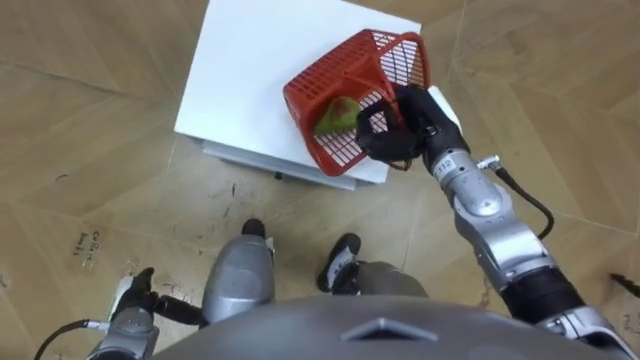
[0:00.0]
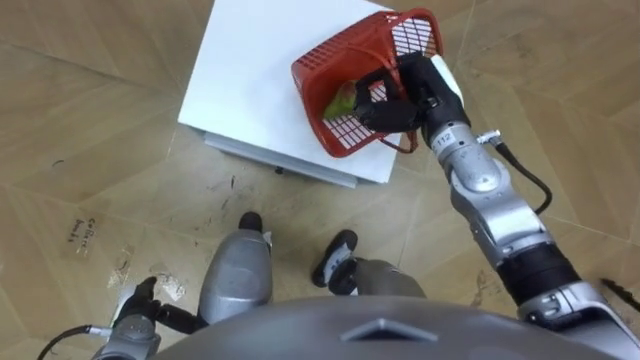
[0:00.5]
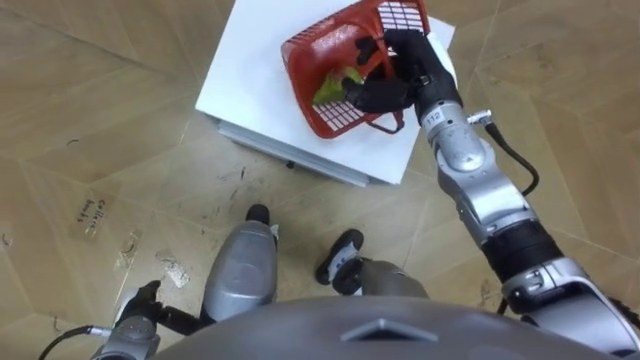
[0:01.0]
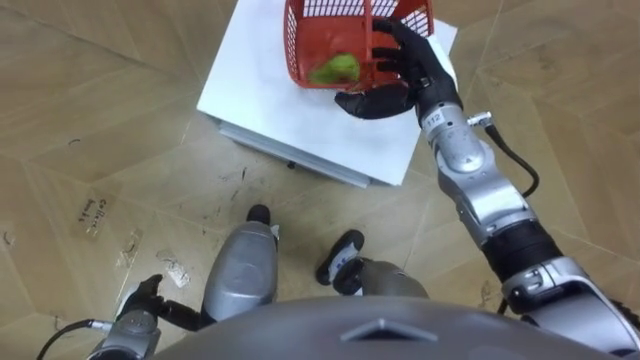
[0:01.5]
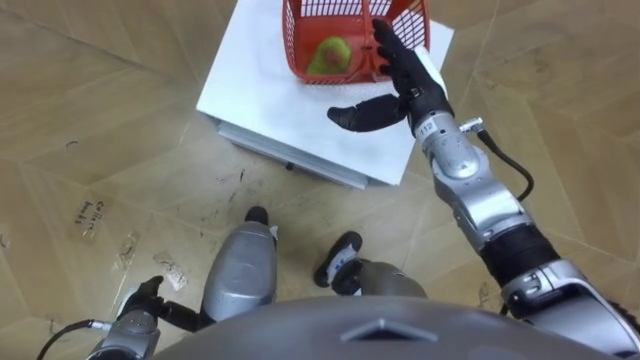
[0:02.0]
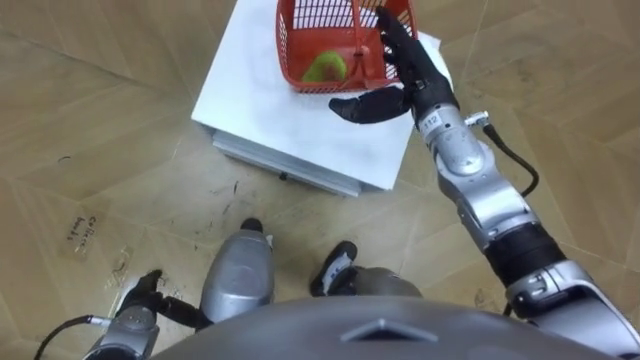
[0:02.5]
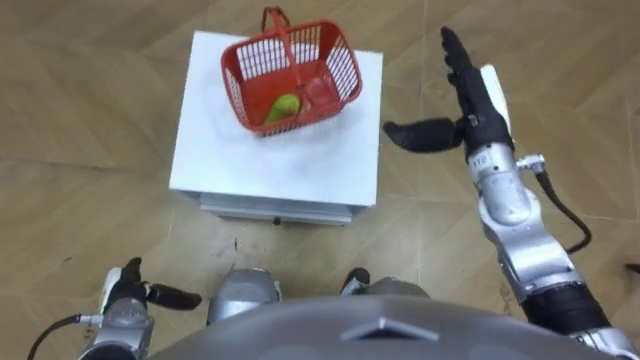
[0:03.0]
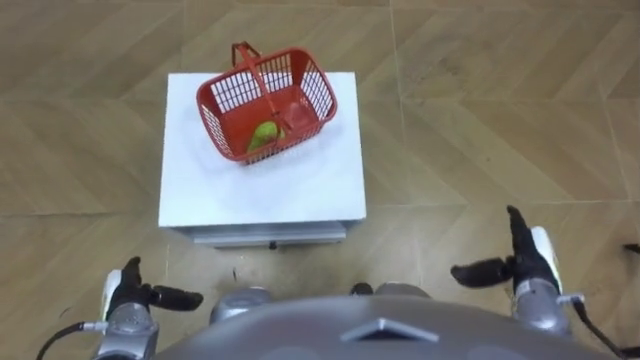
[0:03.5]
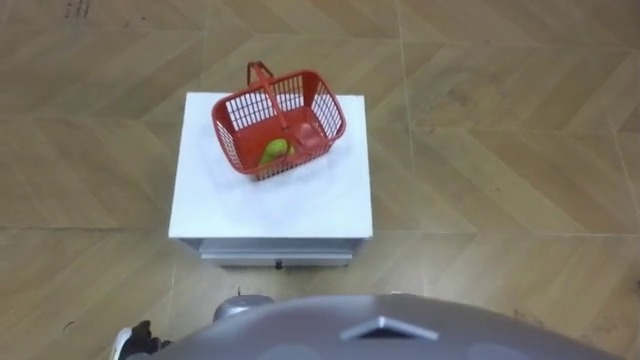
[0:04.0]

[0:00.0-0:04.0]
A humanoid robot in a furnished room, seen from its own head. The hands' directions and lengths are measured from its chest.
Task of the whole recording: Pick up the fruit basket from the floor and place it on the cabinet.
0:00.0 to 0:02.0: The right hand ends up roughly 5 cm from where it was, and opens up.
0:02.0 to 0:04.0: The left hand travels backward by roughly 5 cm.

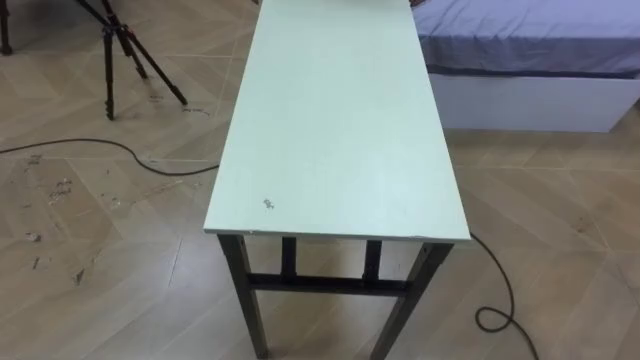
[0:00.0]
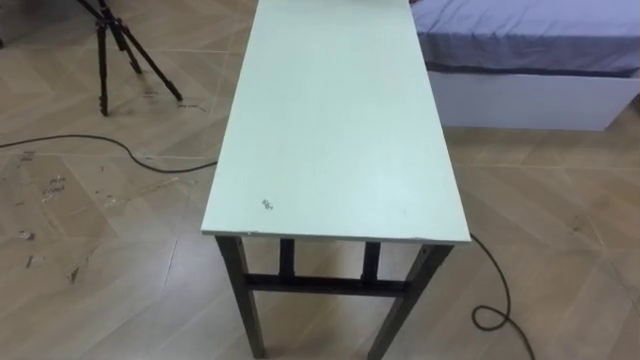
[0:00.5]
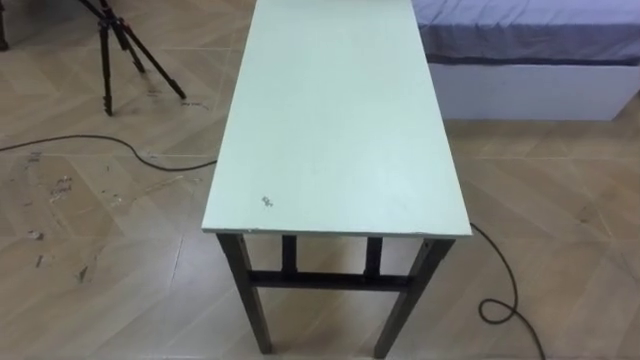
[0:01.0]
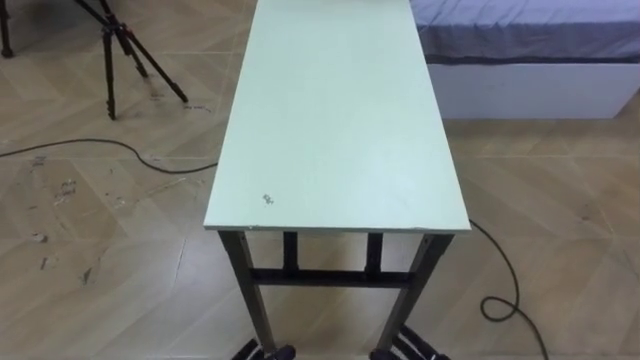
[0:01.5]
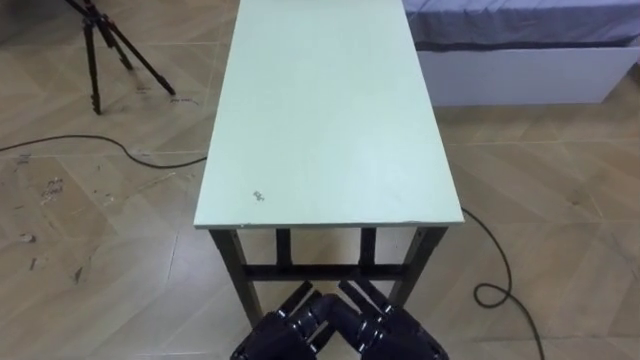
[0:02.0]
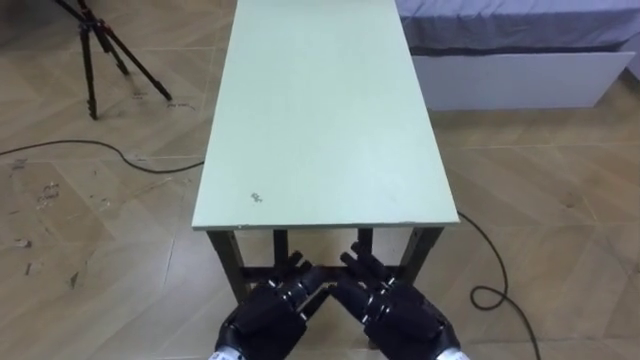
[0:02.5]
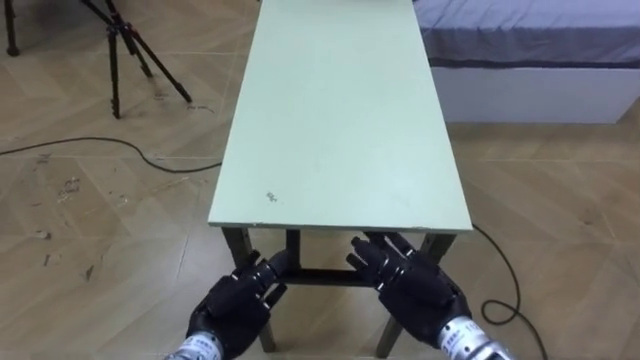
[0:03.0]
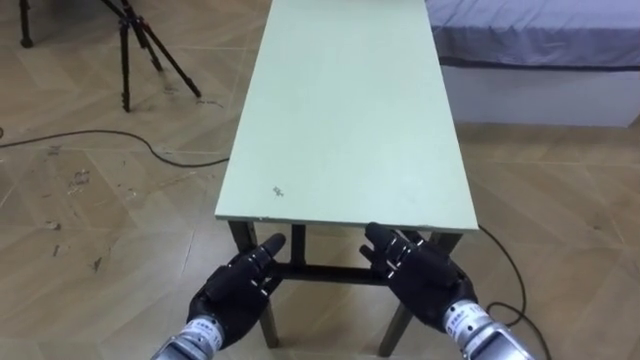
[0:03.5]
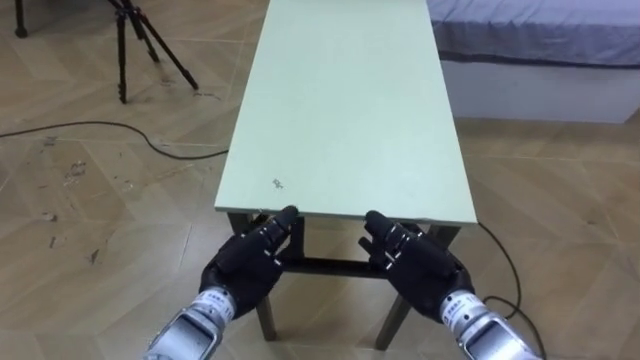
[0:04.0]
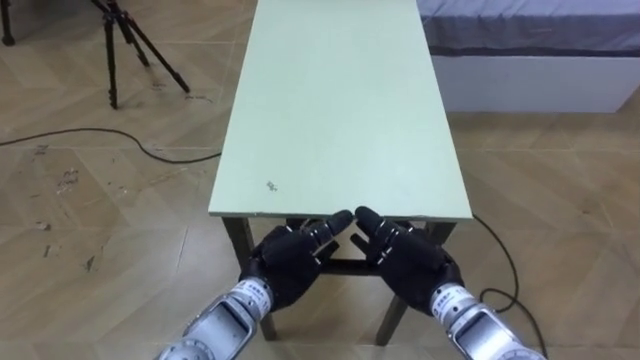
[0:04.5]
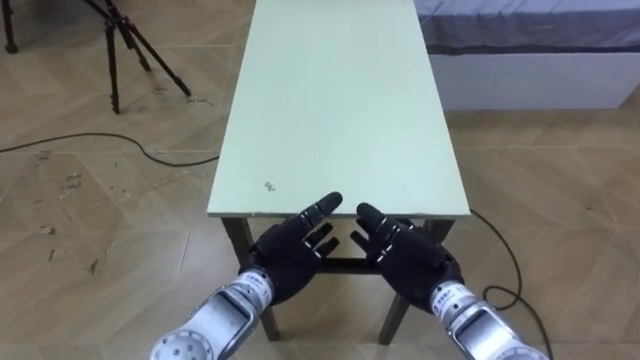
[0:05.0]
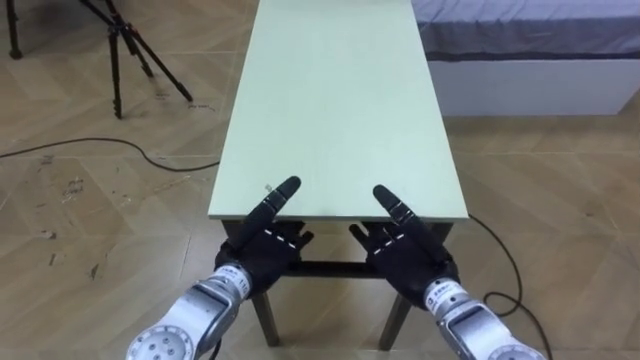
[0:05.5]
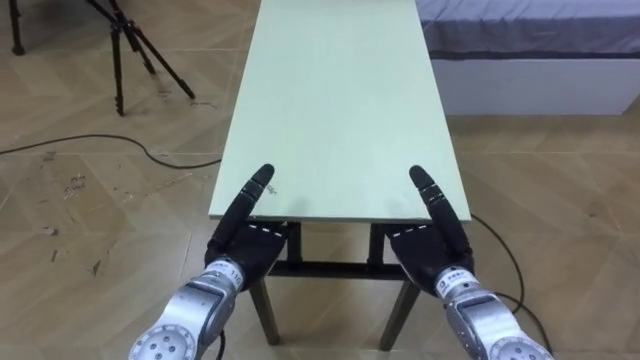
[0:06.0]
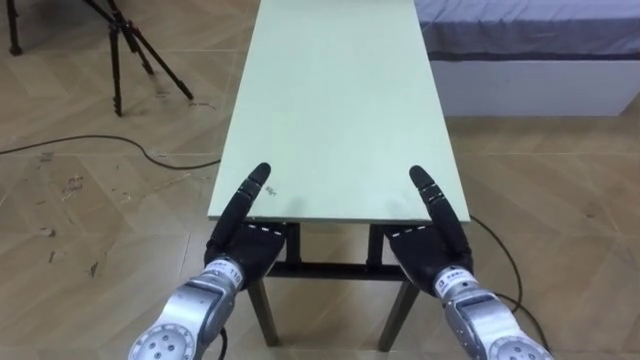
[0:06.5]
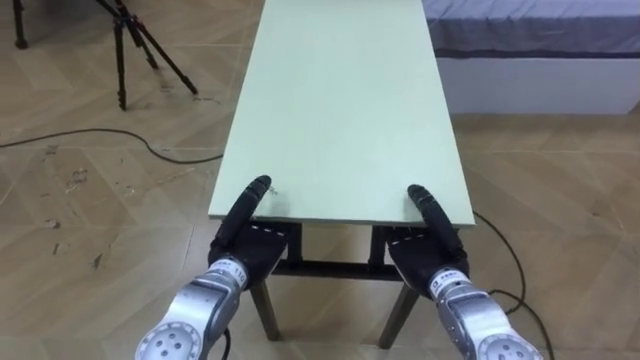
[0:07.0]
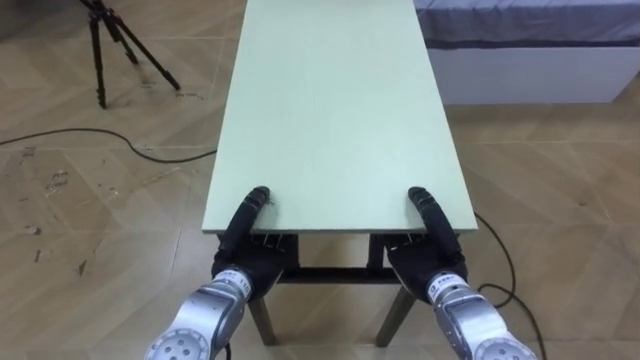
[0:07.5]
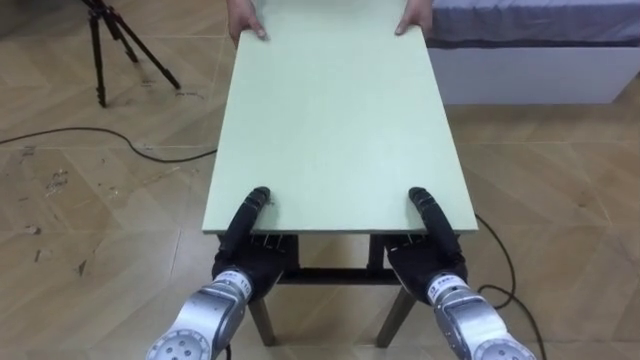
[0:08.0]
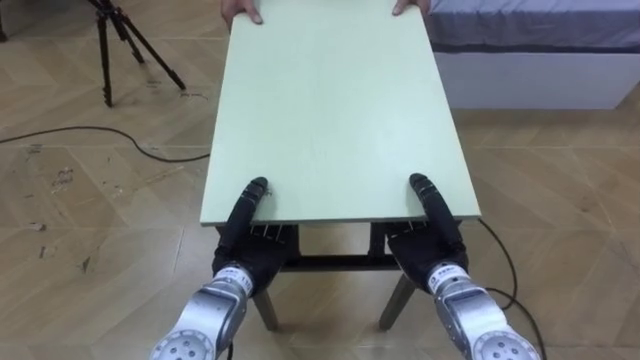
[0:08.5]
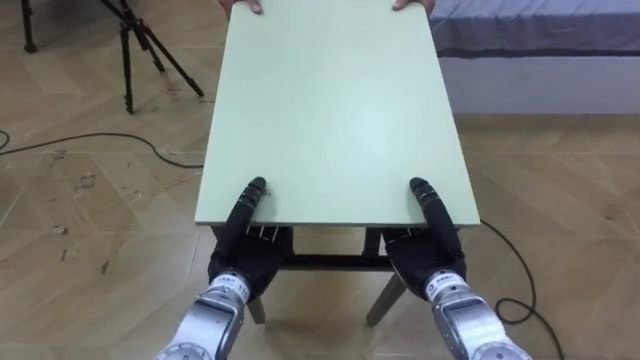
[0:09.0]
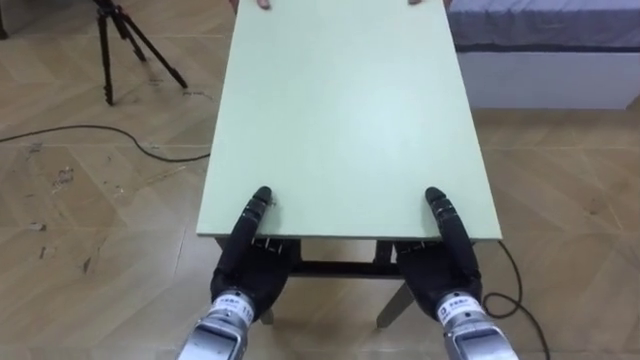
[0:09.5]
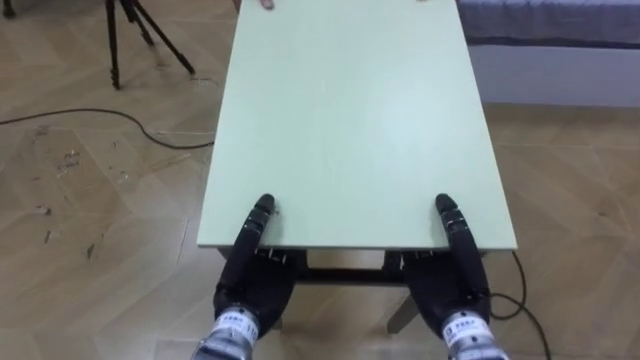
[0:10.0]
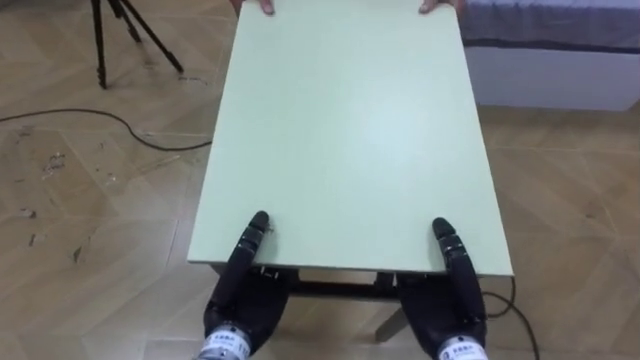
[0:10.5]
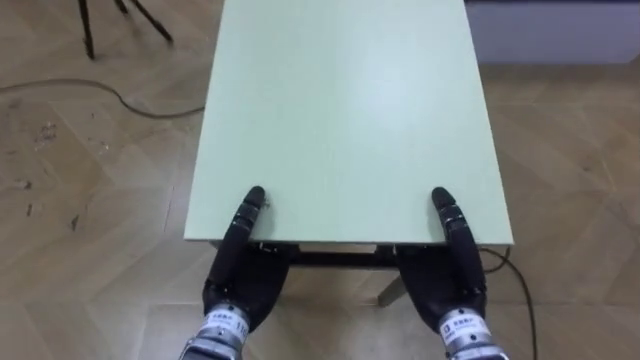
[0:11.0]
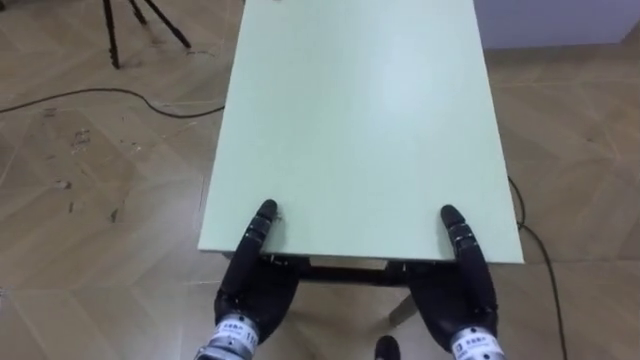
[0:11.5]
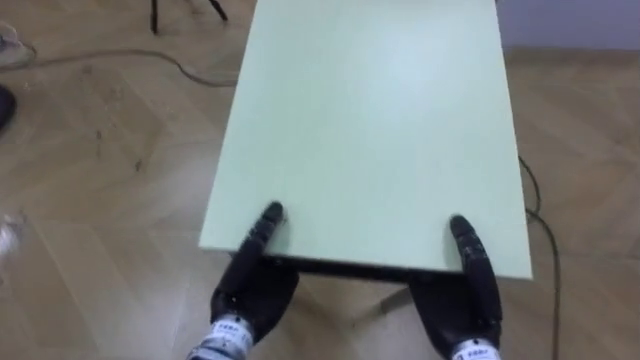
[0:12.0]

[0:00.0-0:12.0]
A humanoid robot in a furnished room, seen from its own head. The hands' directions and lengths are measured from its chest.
Task of the whole recording: Move the table to the back left with someone.
0:02.0 to 0:04.0: The right hand goes roughly 10 cm forward; the left hand goes about 10 cm forward and to the left.
0:06.0 to 0:08.0: The left hand closes up. The right hand closes up.
0:08.0 to 0:10.0: The left hand moves some 5 cm; the right hand ends up roughly 5 cm from where it was.

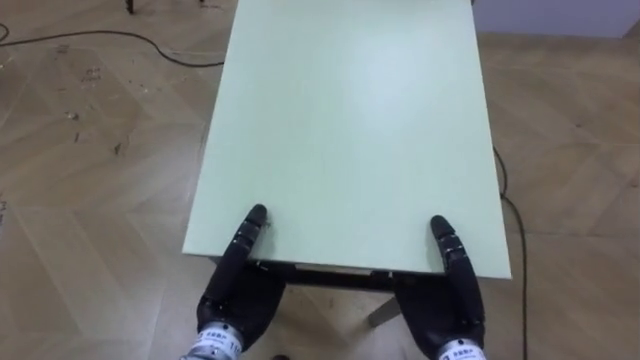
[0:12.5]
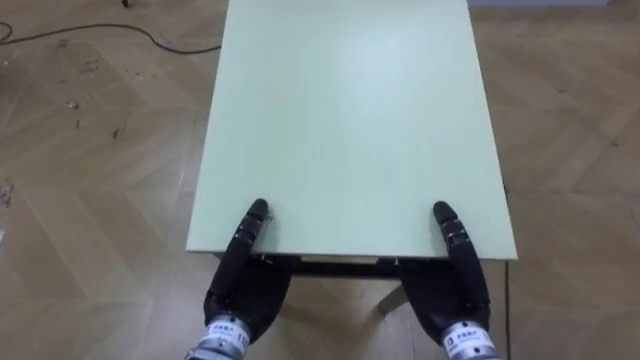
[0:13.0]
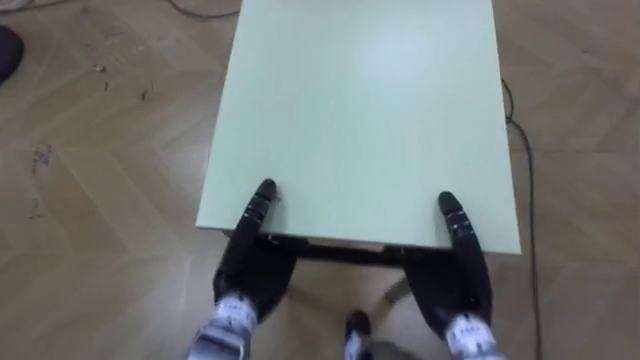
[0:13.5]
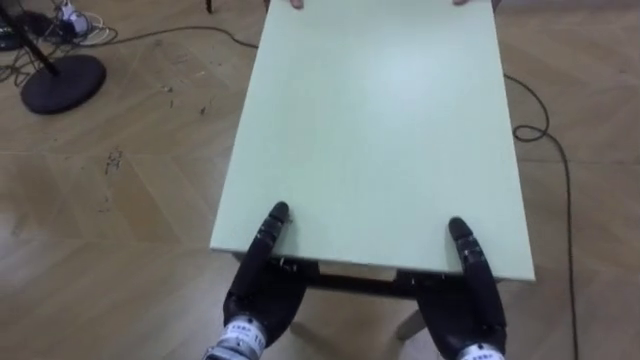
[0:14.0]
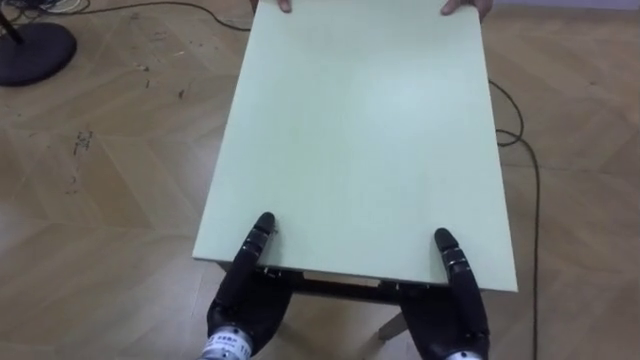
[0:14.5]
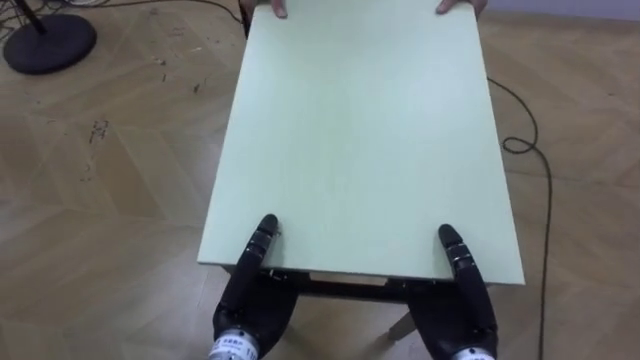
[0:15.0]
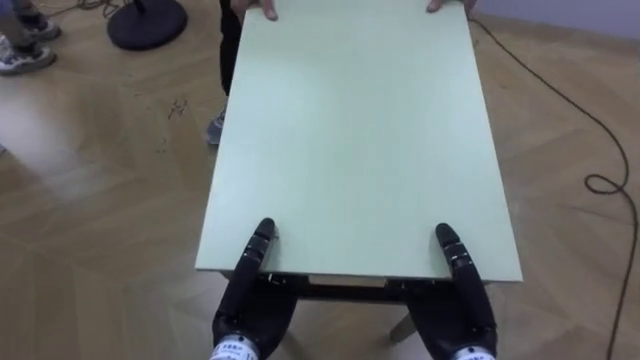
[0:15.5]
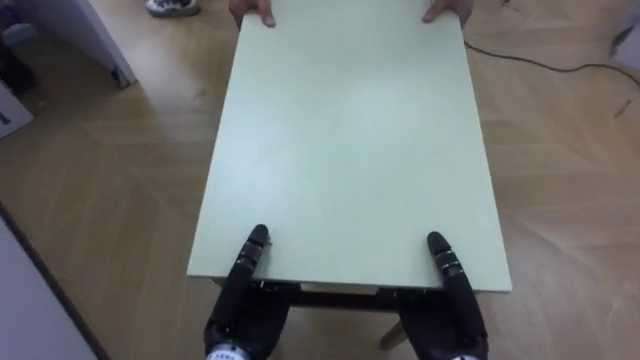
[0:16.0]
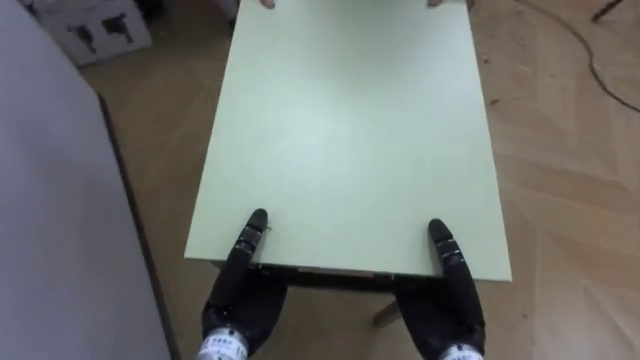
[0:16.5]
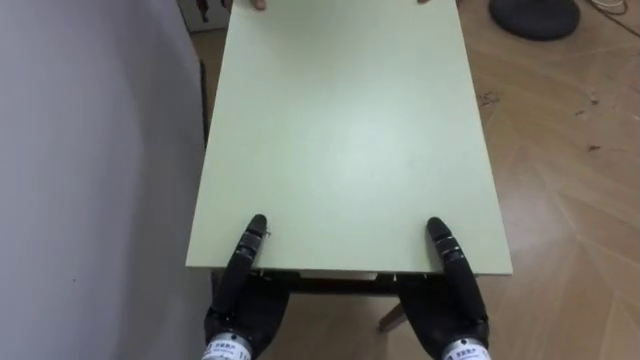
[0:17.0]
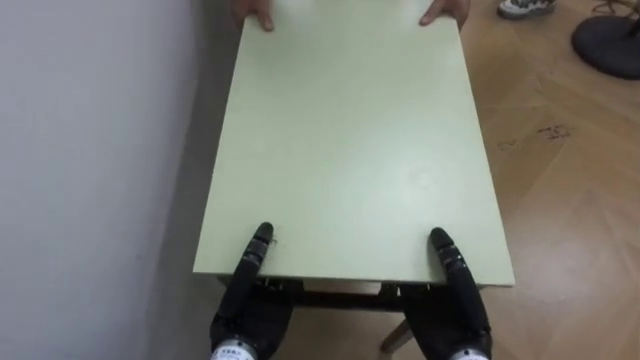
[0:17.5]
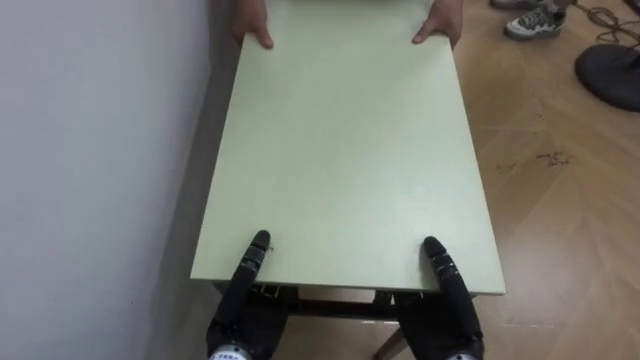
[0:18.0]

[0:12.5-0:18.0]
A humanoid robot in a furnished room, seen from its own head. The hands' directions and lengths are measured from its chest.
Task of the whole recording: Move the table to the back left with someone.
0:14.5 to 0:16.0: The robot faces approximately 35 degrees further to its left.
0:16.0 to 0:18.0: The robot faces roughly 50 degrees further to its left.
